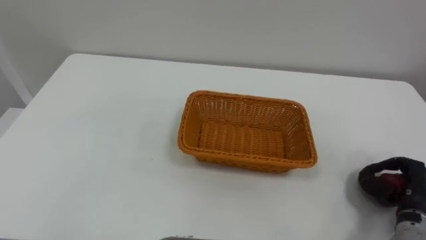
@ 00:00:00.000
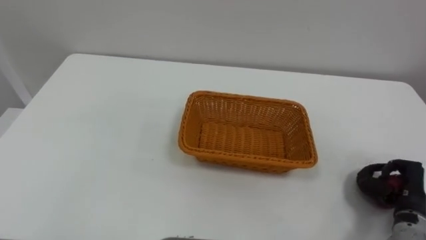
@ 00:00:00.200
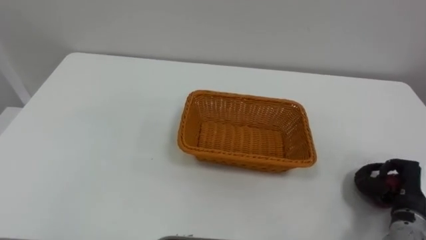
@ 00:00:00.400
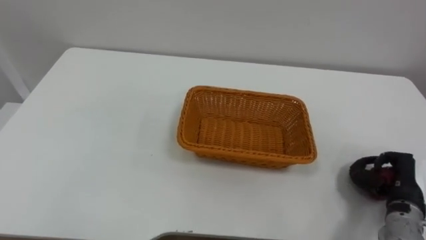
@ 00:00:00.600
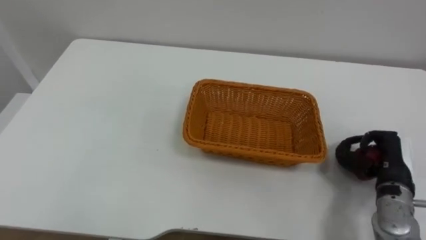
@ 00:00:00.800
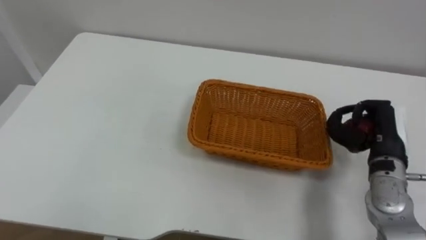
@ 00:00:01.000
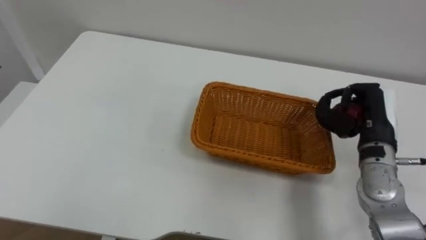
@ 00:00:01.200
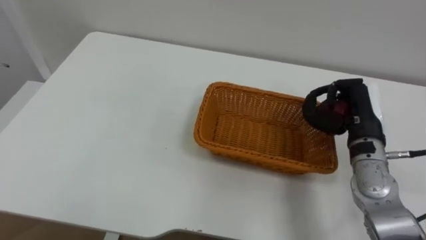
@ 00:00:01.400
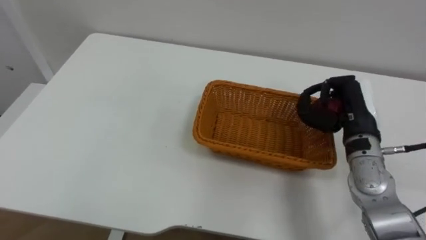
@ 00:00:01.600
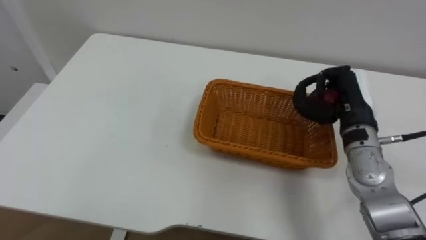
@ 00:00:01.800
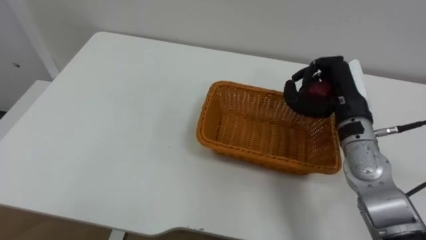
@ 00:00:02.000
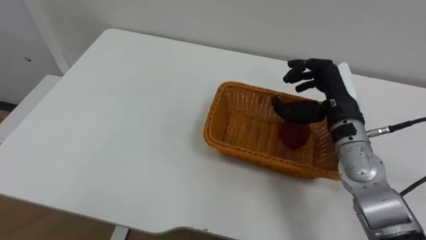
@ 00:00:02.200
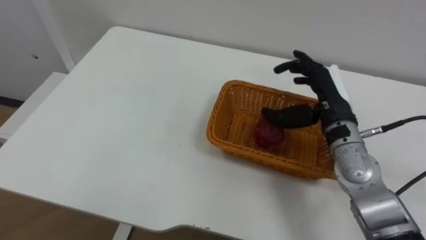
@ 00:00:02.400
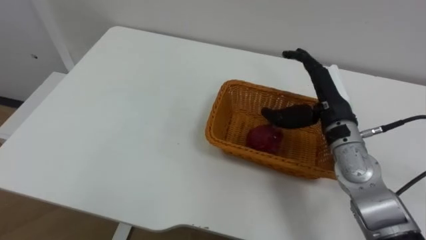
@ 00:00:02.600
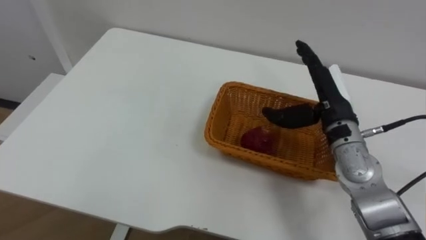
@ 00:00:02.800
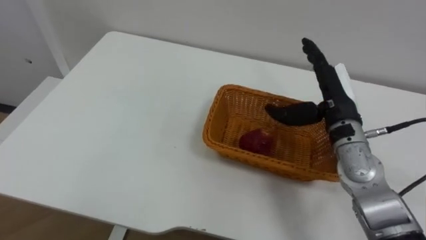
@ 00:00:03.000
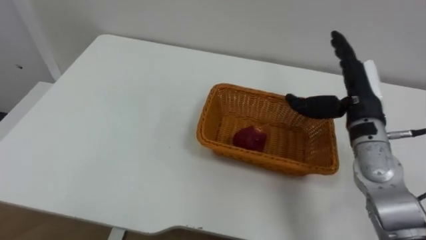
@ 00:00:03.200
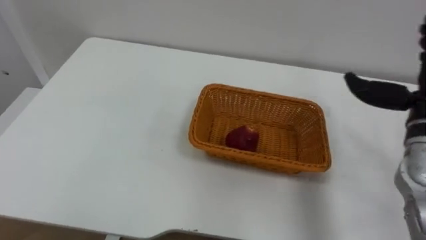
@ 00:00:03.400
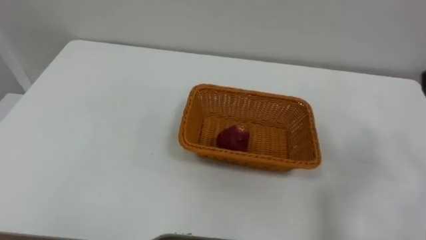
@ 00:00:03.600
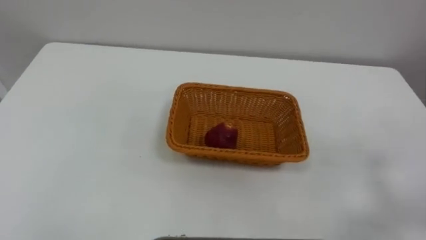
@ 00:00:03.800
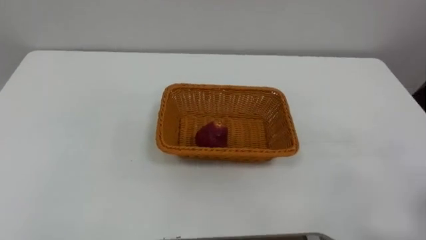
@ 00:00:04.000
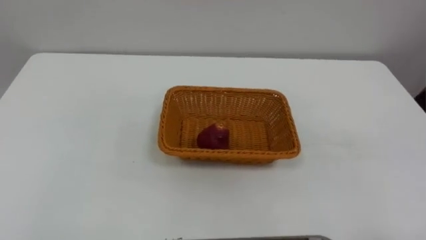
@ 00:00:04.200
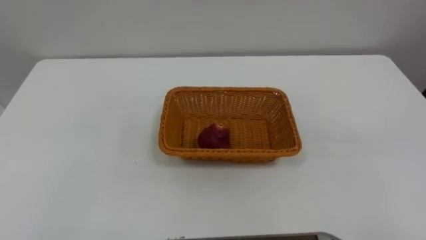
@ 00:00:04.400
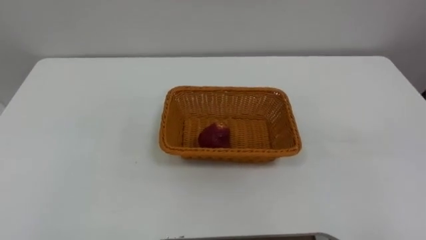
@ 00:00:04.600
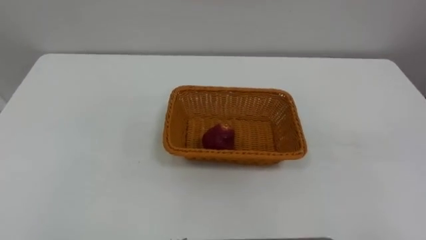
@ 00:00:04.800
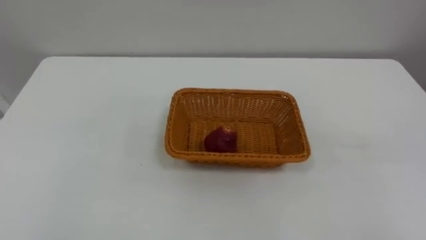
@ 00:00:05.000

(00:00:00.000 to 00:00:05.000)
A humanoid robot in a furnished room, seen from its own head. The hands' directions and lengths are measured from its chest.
Task of the whole recording: Pick the apple and place it in the box.
00:00:00.000 - 00:00:01.600: The right hand is displaced upward, forward and to the left by approximately 20 cm.

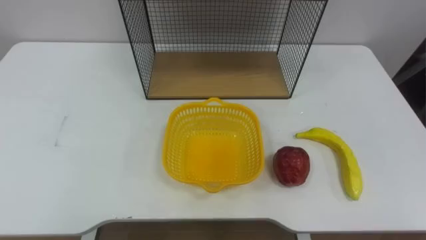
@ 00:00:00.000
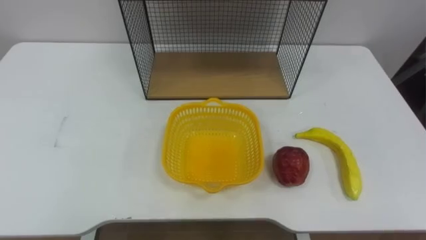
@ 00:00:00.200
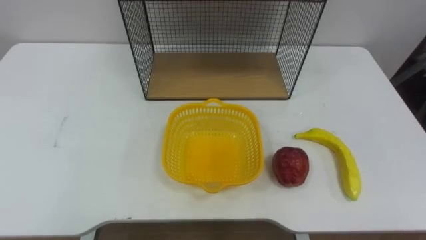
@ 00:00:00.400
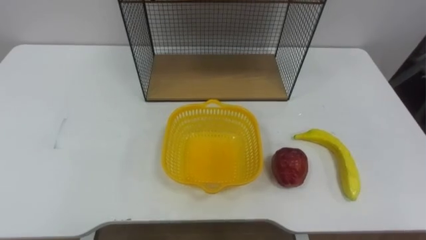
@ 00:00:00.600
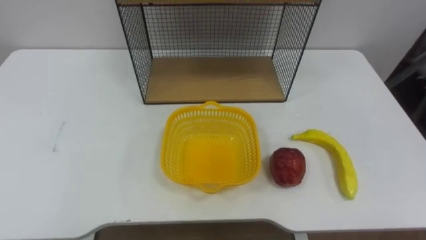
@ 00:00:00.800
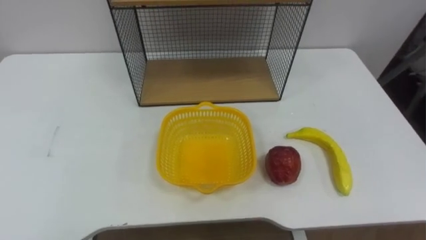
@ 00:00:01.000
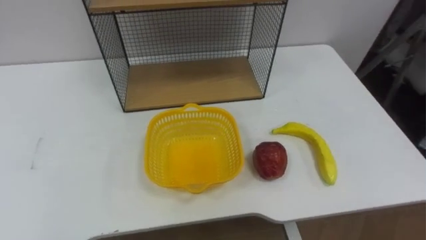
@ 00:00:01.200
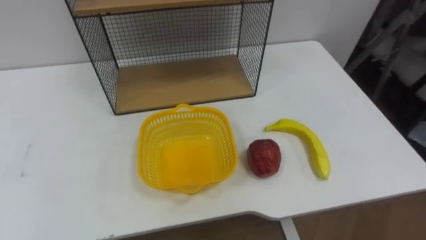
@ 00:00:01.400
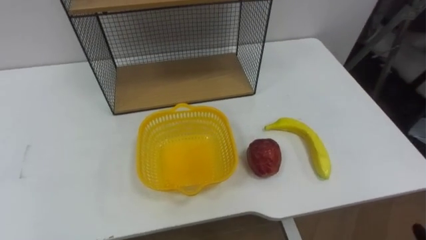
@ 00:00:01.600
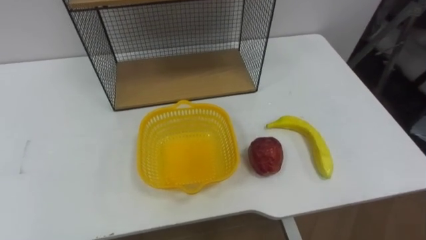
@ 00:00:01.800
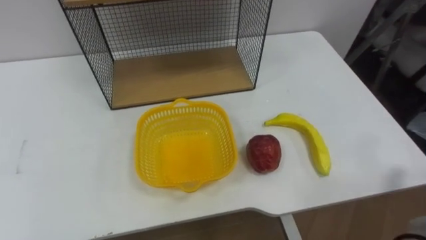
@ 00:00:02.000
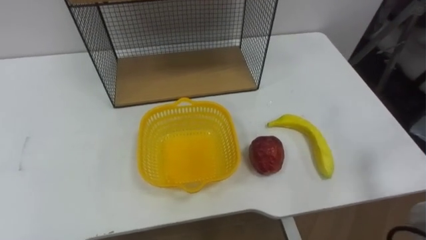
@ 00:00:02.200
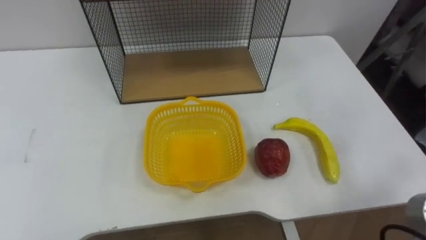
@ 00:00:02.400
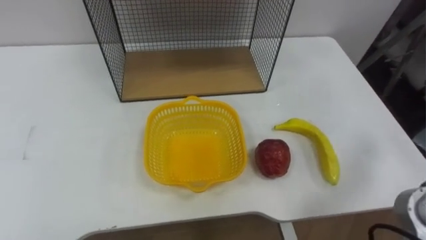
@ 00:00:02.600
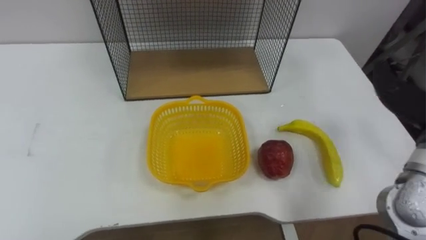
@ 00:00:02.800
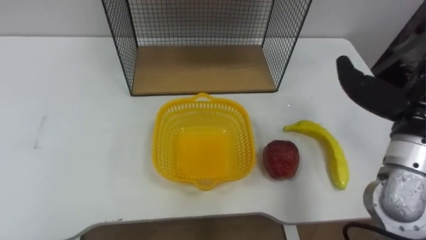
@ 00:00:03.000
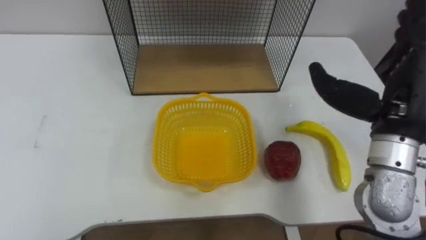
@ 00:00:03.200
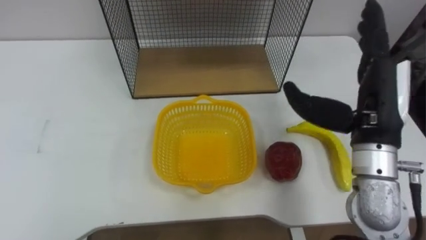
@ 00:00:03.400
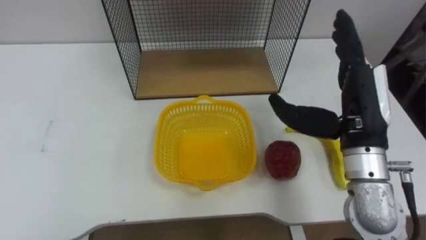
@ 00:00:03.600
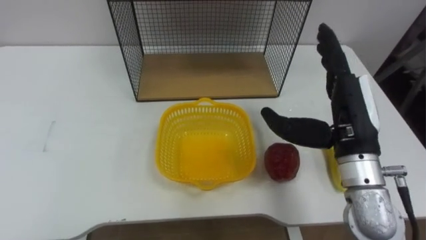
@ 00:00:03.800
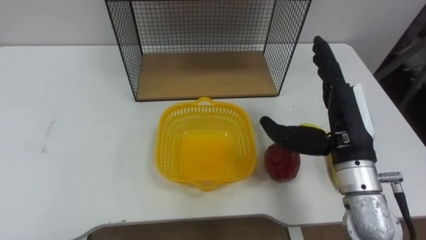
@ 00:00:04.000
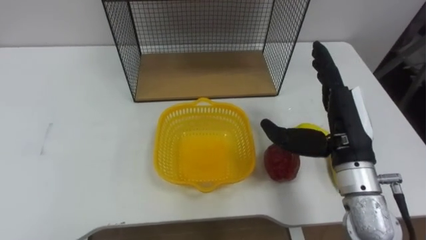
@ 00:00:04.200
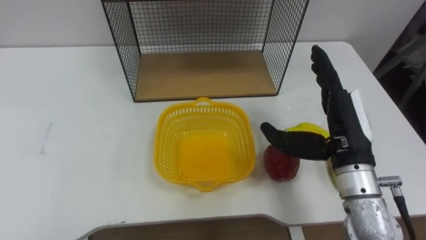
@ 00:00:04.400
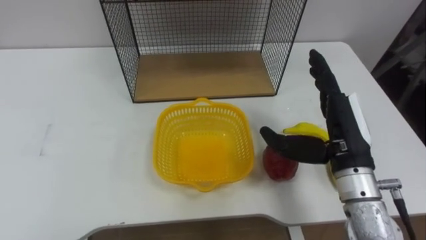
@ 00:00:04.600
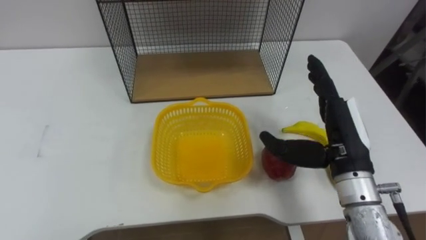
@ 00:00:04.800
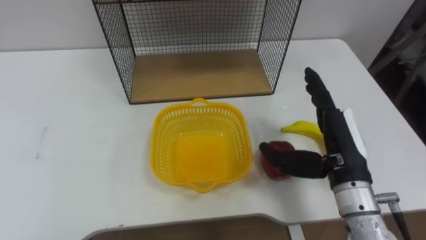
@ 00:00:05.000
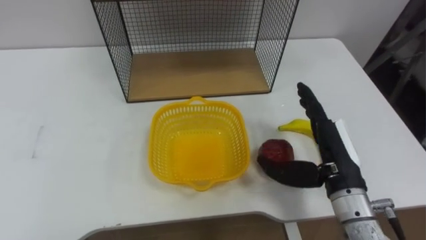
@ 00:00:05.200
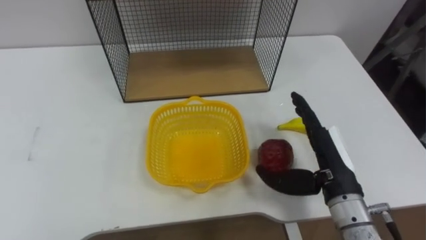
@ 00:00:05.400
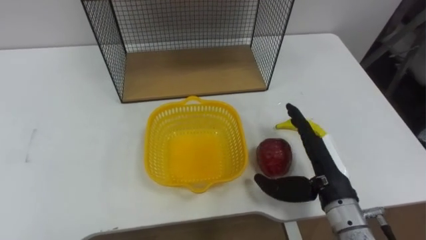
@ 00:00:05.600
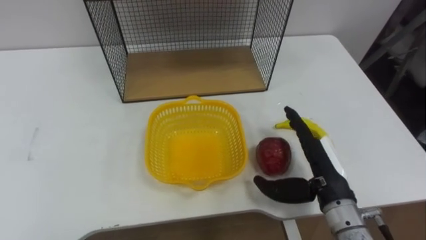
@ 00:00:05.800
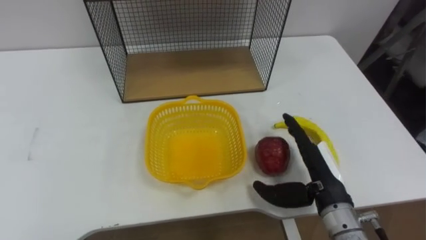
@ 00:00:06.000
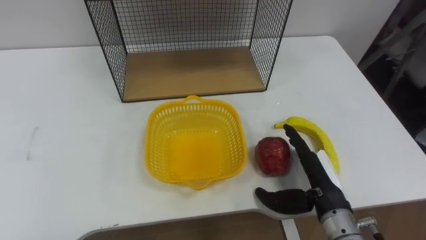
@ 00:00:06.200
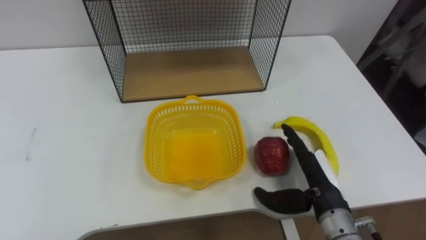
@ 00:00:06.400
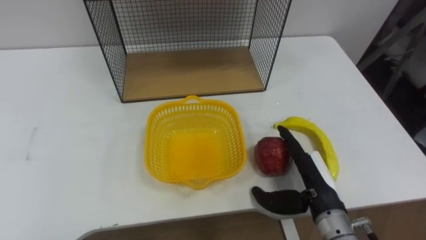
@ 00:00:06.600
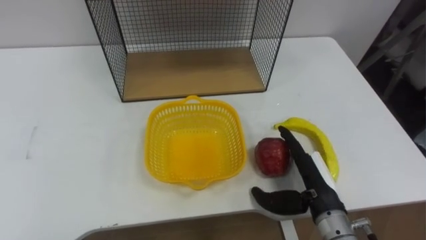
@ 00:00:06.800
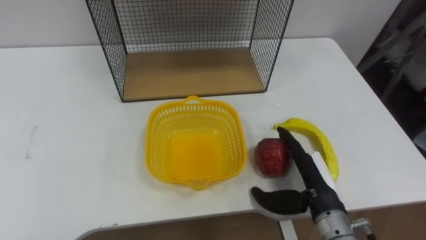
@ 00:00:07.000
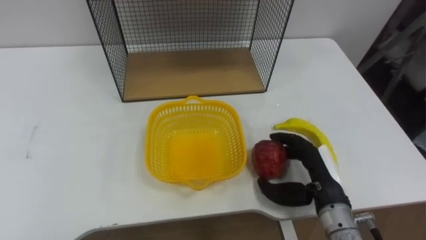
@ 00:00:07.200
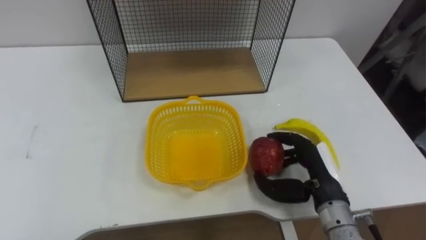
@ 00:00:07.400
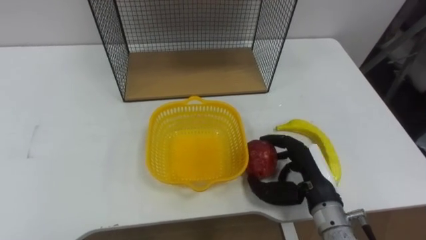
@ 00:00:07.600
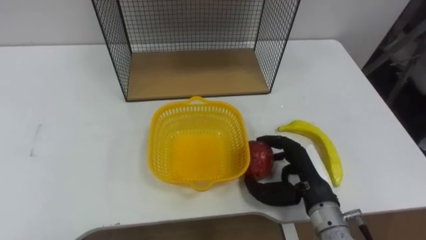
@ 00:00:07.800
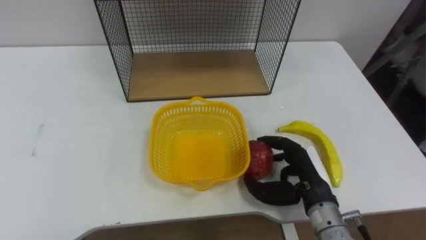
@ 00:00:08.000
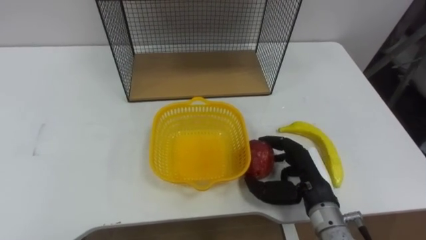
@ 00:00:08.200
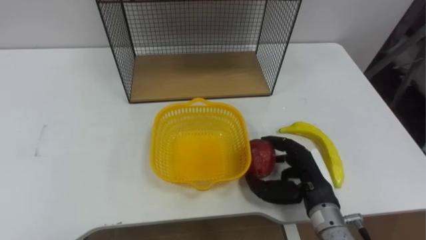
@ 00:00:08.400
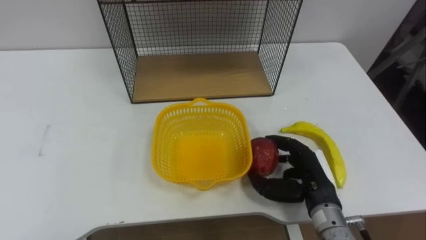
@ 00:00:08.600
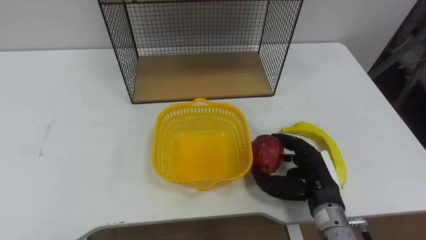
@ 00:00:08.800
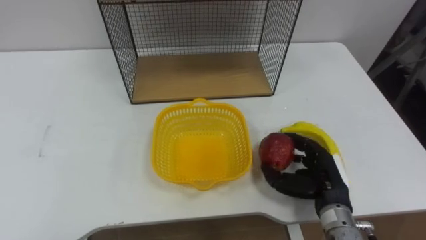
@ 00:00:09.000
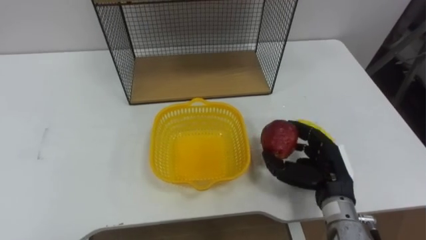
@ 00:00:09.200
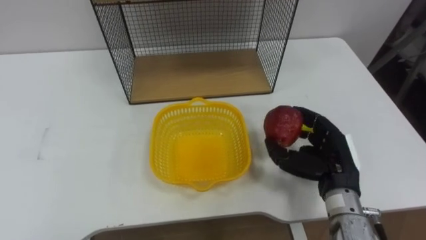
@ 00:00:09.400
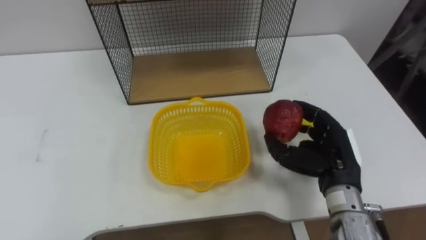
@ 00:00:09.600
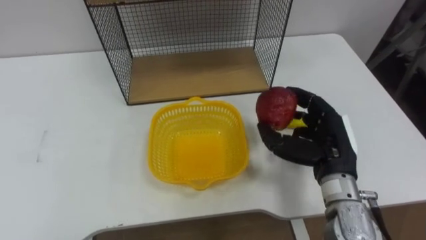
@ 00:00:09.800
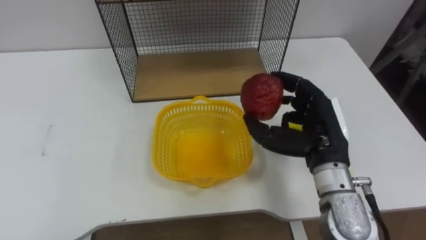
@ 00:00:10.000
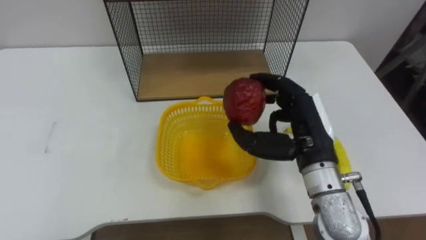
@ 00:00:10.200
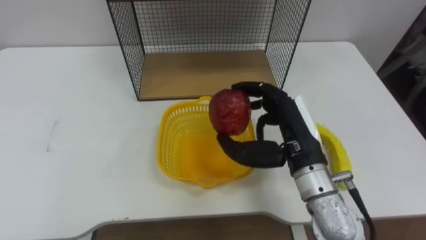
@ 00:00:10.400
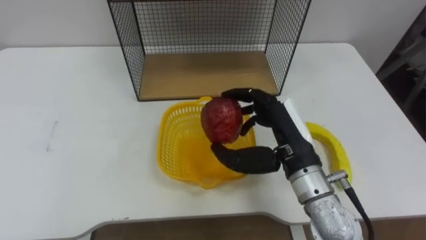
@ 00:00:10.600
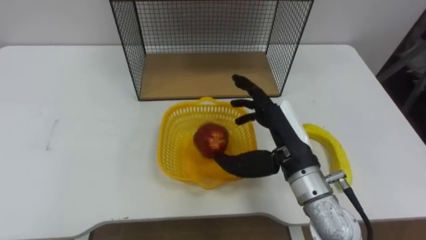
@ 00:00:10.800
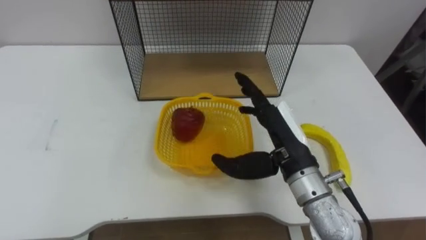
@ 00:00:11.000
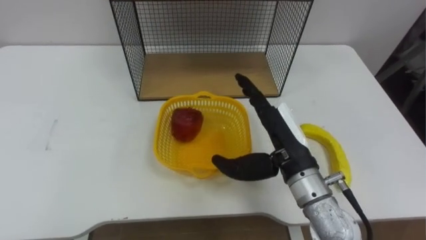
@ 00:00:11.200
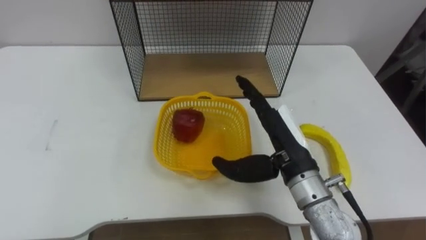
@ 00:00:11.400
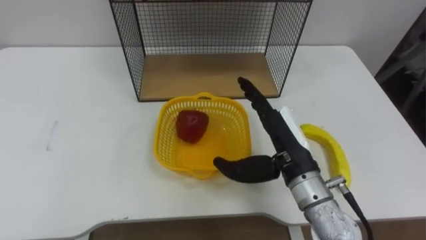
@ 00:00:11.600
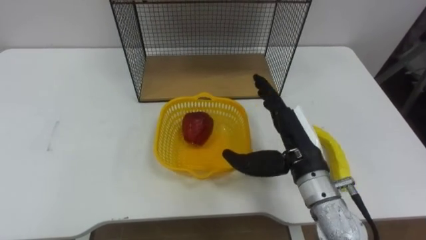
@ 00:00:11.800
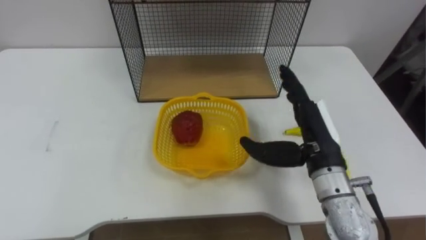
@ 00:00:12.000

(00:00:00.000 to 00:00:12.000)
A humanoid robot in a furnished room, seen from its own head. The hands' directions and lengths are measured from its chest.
Task of the whole recording: Put the fruit on the table into the basket, then place the basket on the shelf.
00:00:04.400 - 00:00:06.000: The right hand travels downward by approximately 10 cm.
00:00:06.000 - 00:00:07.600: The right hand closes up.
00:00:09.000 - 00:00:10.400: The right hand travels upward and to the left by some 15 cm.
00:00:10.400 - 00:00:12.000: The right hand opens up.
